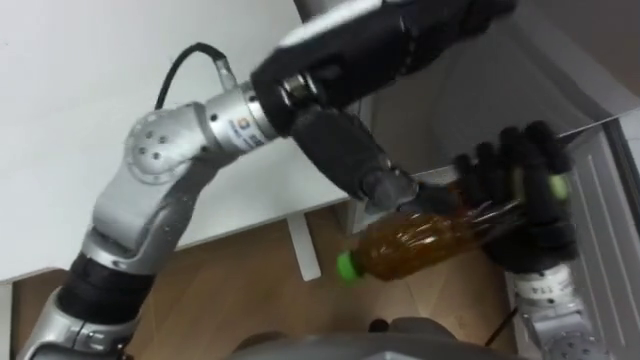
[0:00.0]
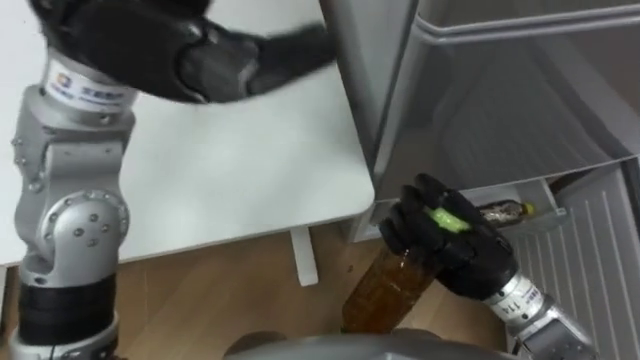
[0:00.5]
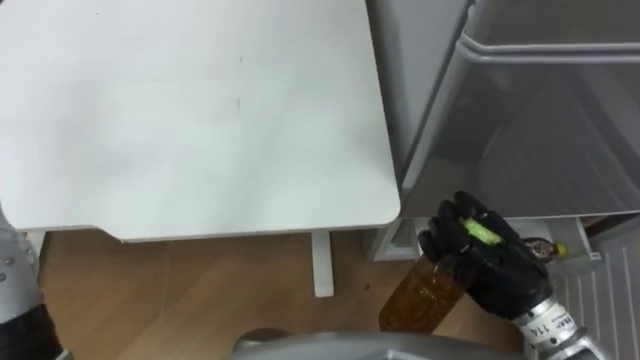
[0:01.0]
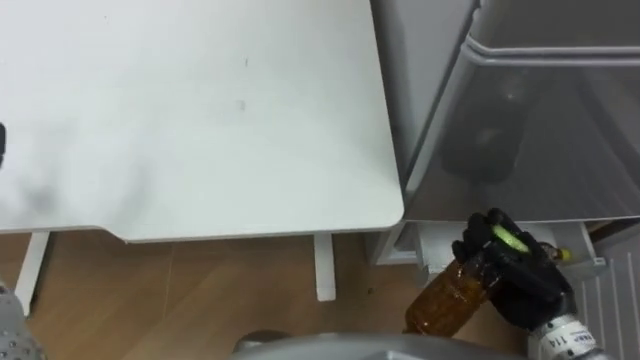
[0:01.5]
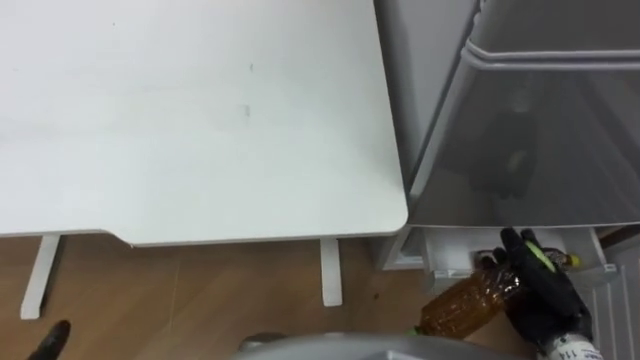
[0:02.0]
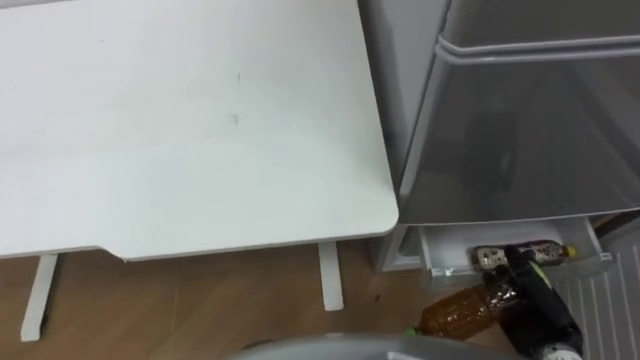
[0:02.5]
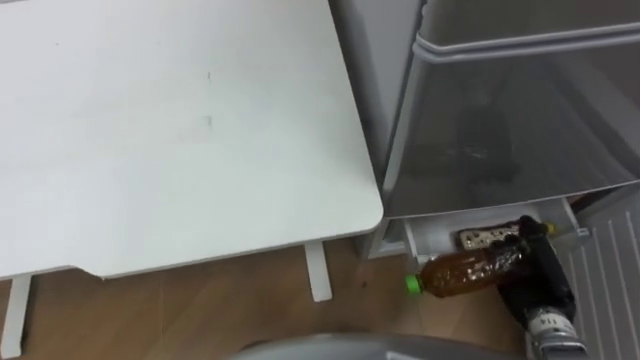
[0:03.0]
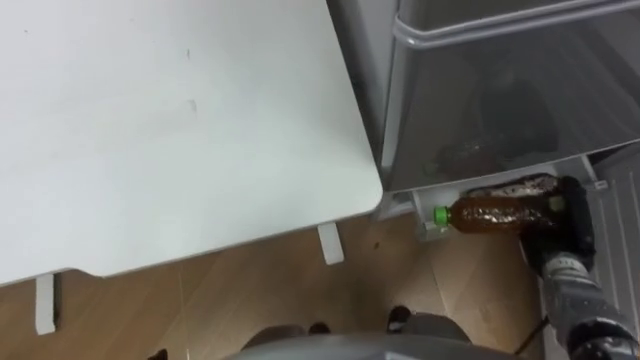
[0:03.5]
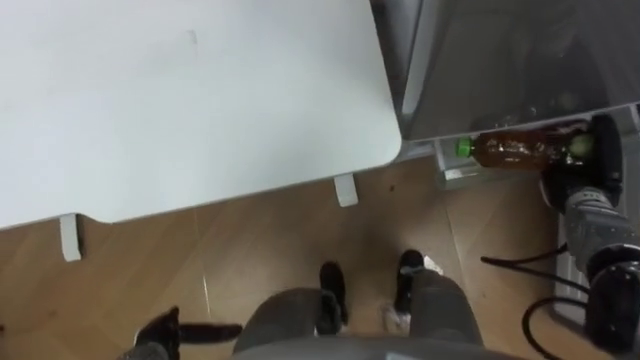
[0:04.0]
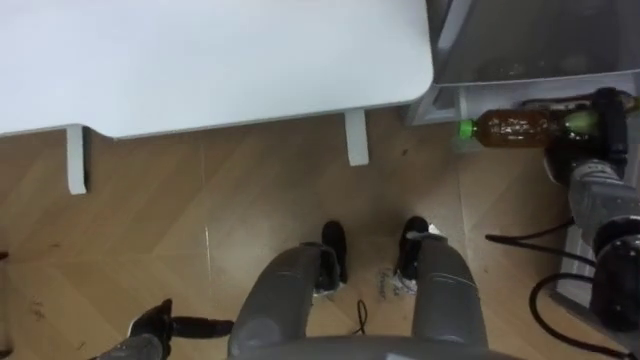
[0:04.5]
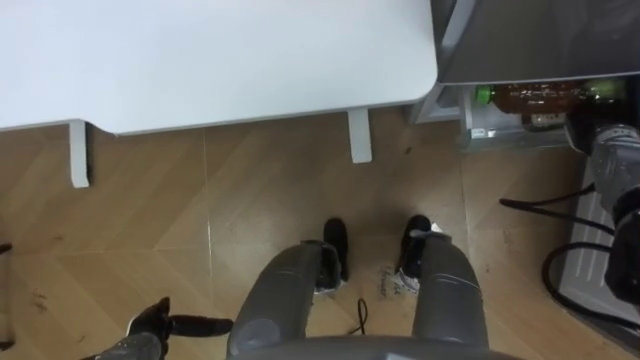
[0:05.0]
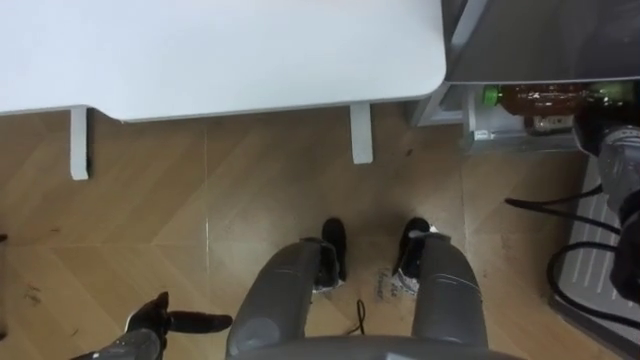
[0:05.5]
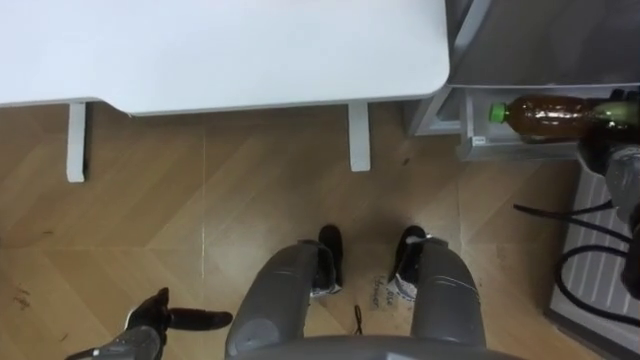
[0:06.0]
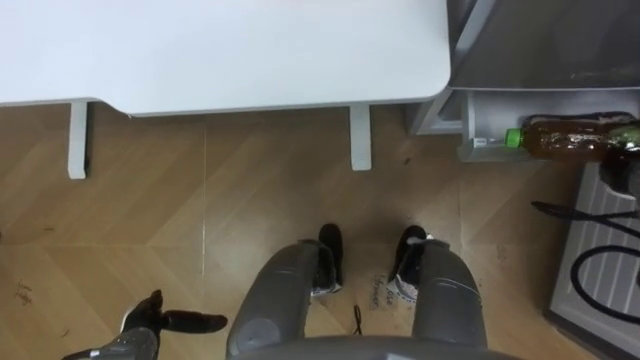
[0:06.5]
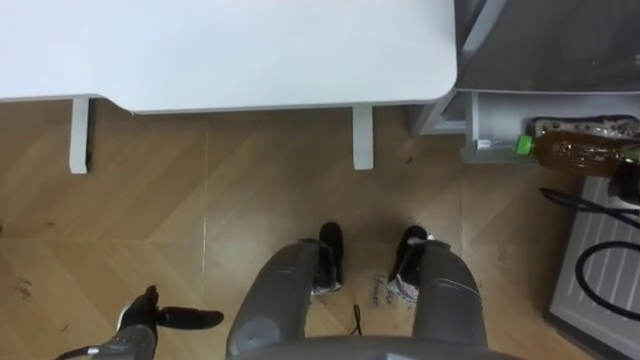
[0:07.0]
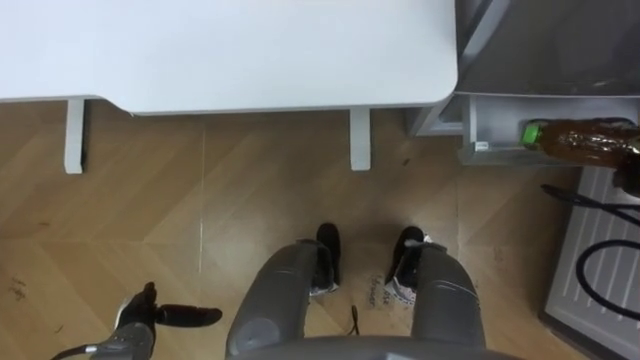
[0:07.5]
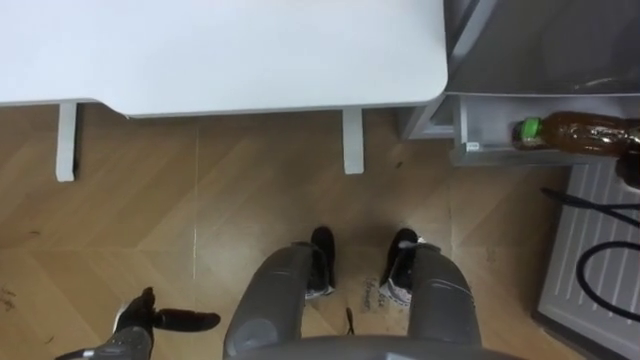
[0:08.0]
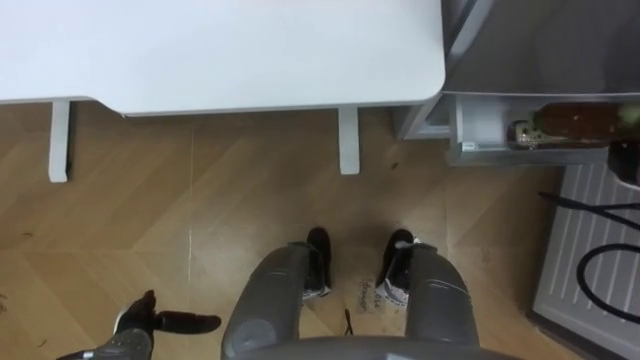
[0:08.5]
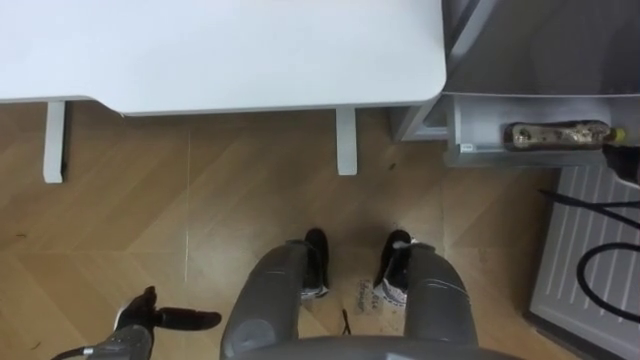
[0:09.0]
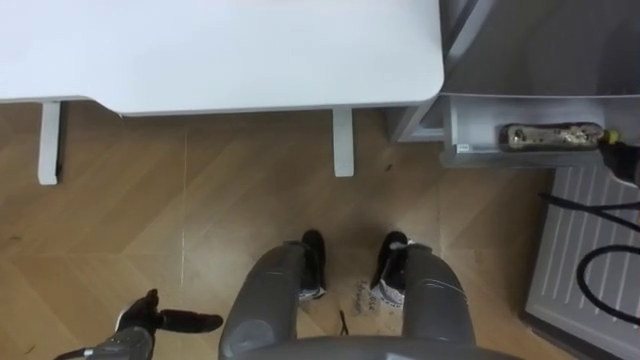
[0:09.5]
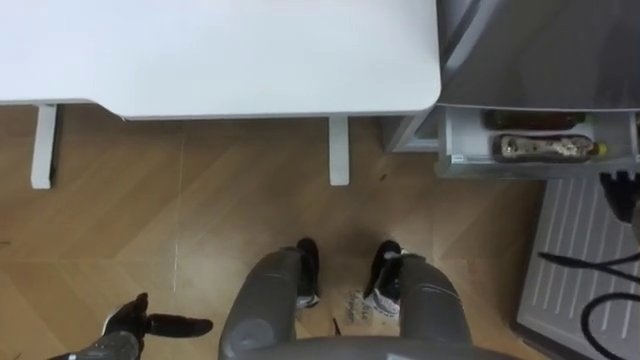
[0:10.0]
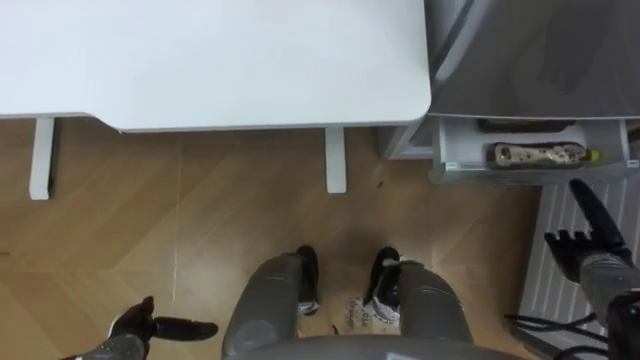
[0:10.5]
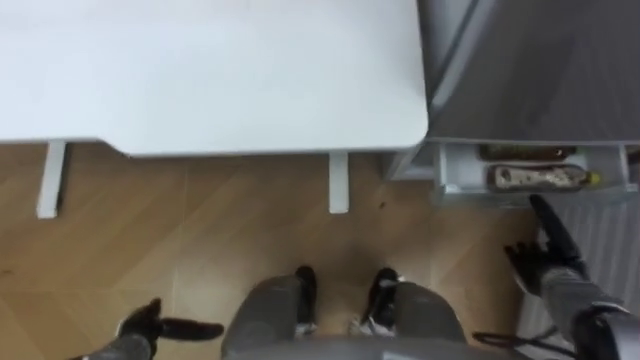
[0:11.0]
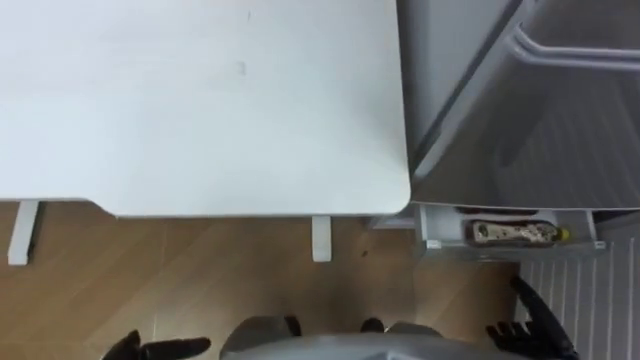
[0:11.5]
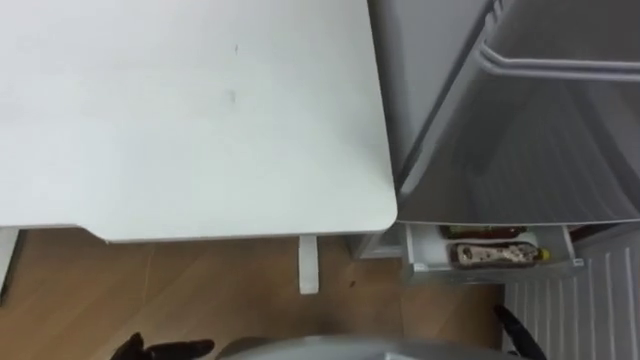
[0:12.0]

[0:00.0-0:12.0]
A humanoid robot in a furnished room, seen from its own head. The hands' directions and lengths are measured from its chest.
Task of the whole recording: Place the drink on the table on the bottom shelf of the refrigerator, then close the drawer and the refrigerator door.
0:00.0 to 0:02.0: The right hand shifts roughly 15 cm downward.
0:02.0 to 0:04.0: The right hand goes roughly 15 cm forward and to the right.
0:04.0 to 0:06.0: The right hand ends up approximately 5 cm from where it was.
0:06.0 to 0:08.0: The right hand ends up about 5 cm from where it was.
0:08.0 to 0:10.0: The right hand opens its fingers.

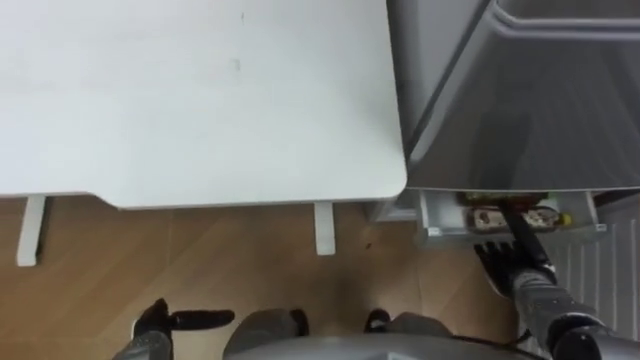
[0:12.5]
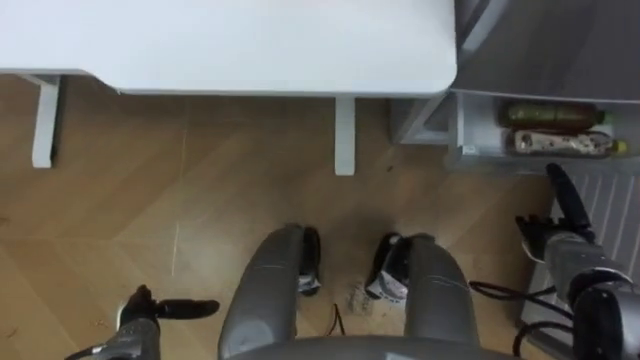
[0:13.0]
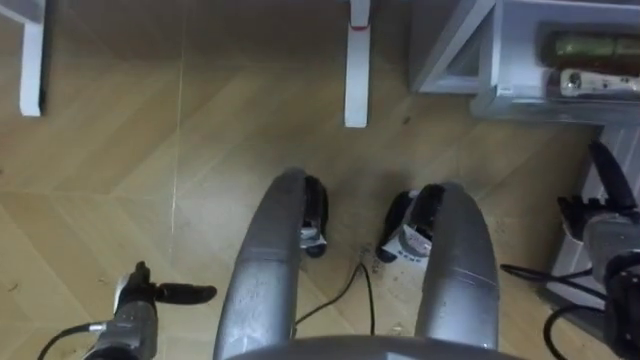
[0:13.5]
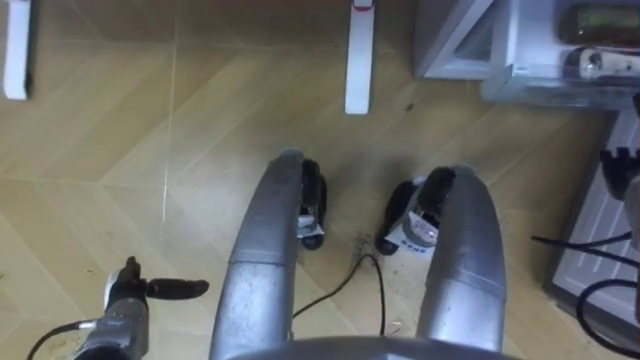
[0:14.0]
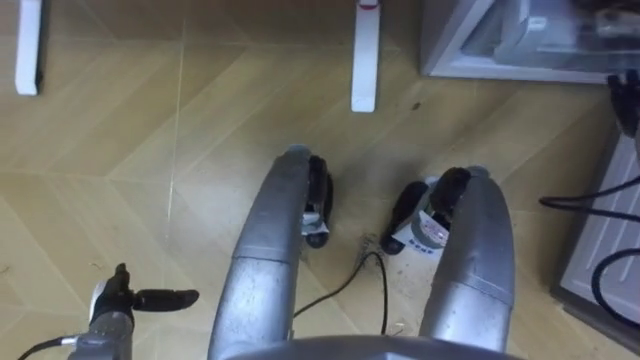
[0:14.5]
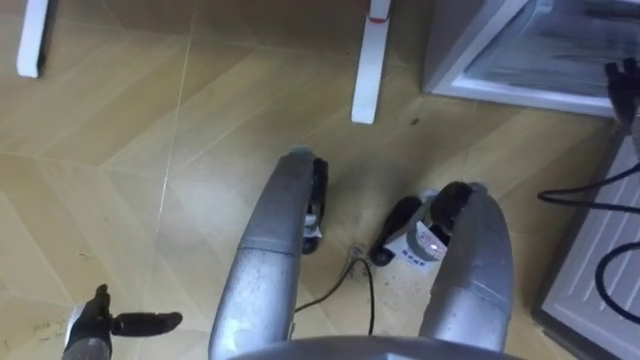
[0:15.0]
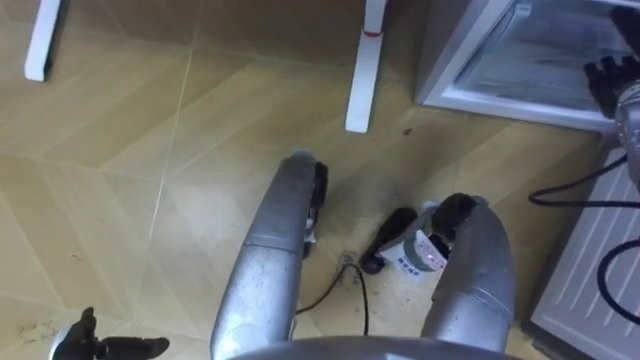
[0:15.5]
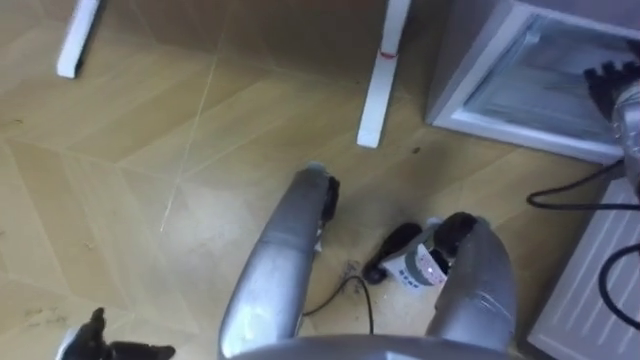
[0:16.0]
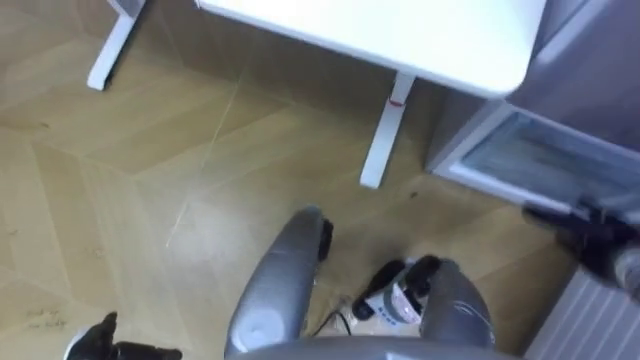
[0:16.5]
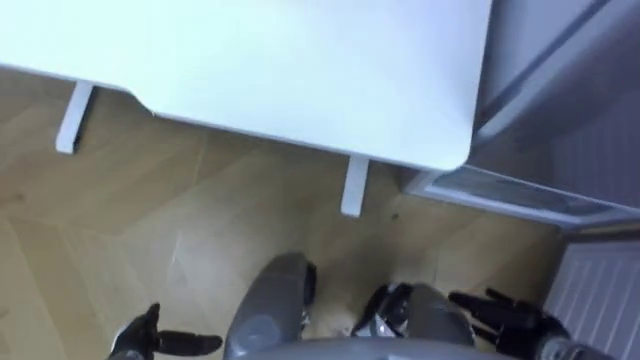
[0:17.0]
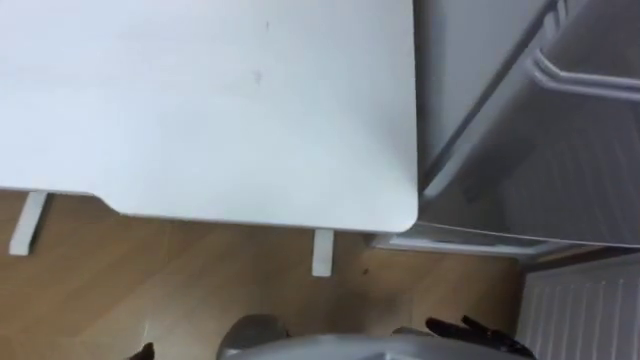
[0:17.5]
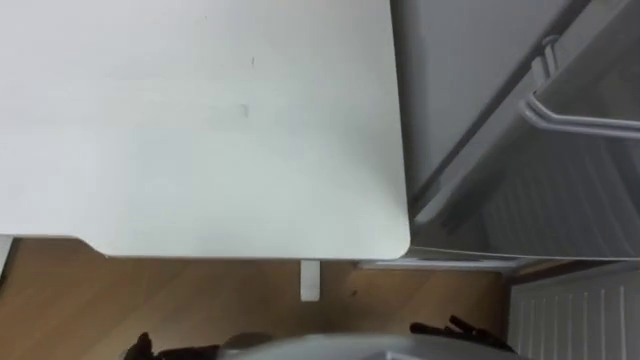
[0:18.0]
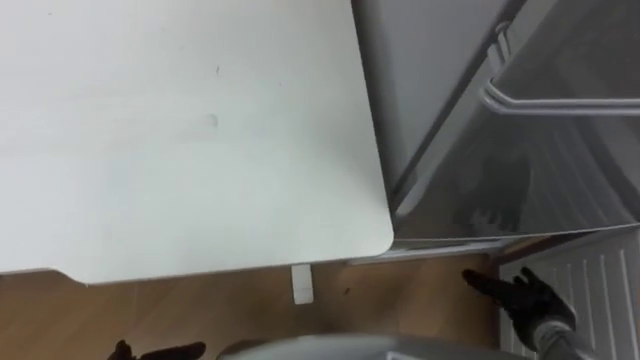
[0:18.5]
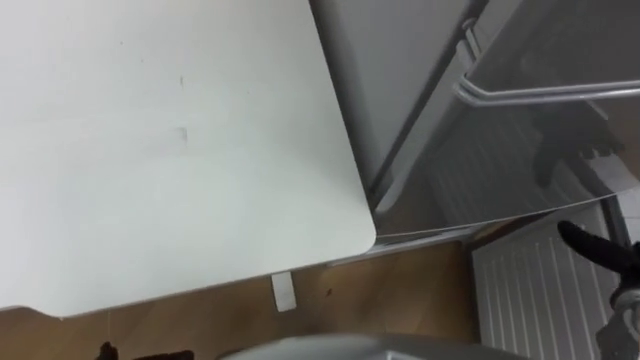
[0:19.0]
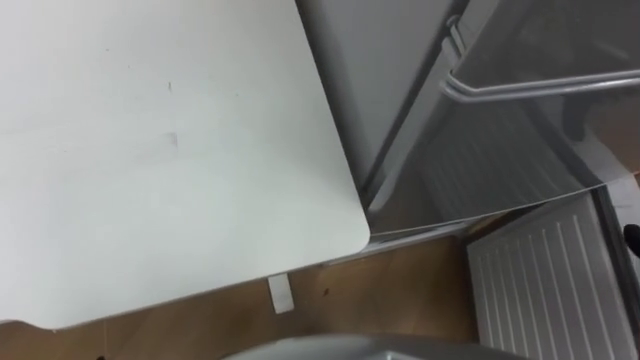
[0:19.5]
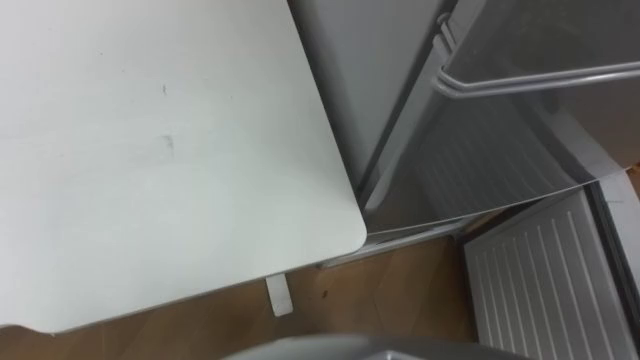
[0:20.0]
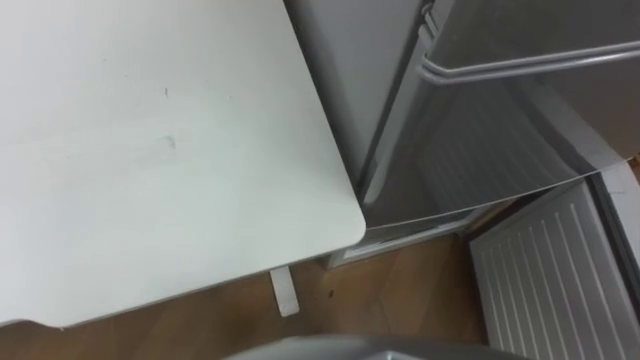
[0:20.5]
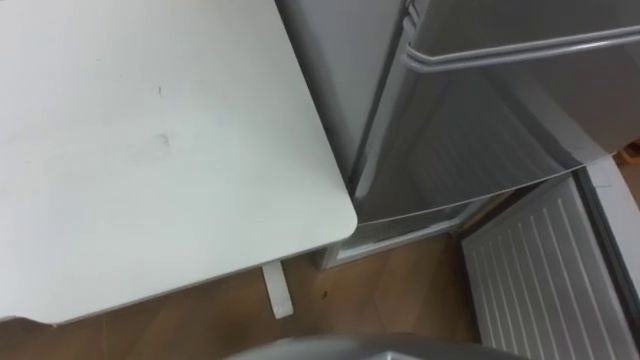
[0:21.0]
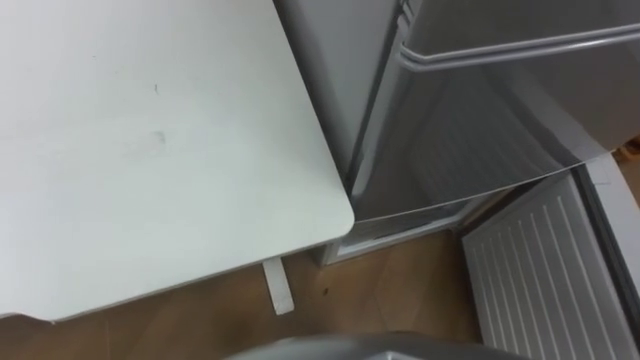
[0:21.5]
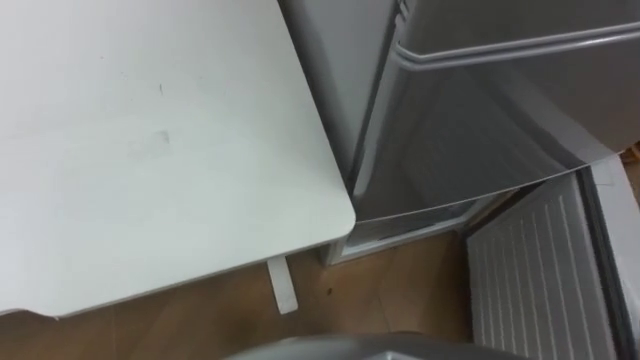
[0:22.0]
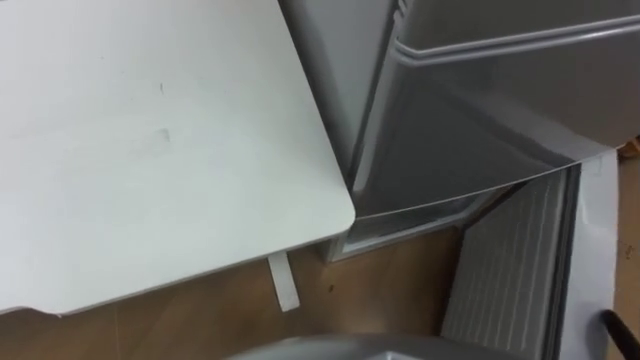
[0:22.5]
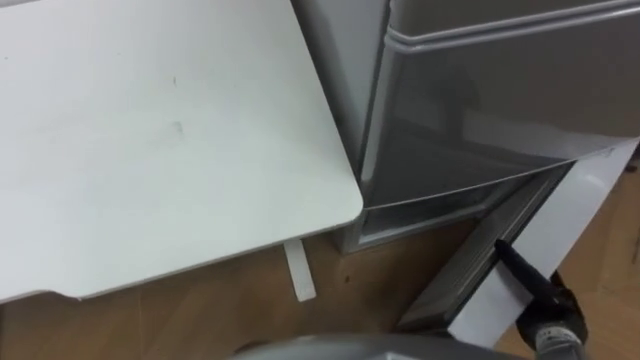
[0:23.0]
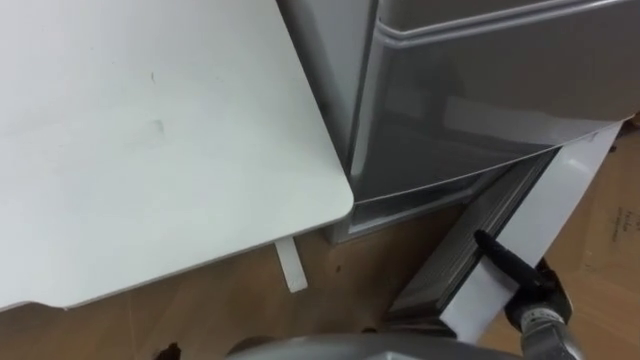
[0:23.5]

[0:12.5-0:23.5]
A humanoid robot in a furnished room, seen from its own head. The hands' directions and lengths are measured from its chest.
Task of the whole recording: Place the drink on the table on the bottom shelf of the refrigerator, then close the drawer and the refrigerator door.
0:12.5 to 0:14.5: The left hand shifts roughly 5 cm forward; the right hand is displaced forward, upward and to the right by approximately 30 cm.
